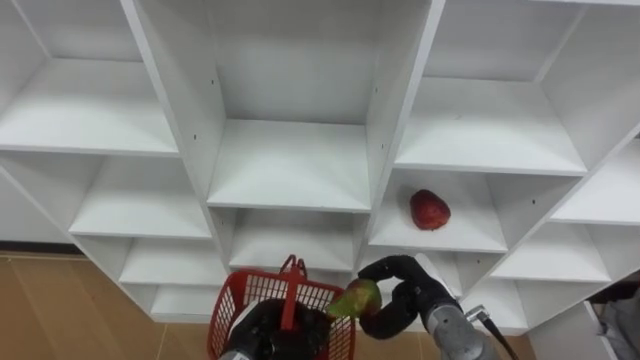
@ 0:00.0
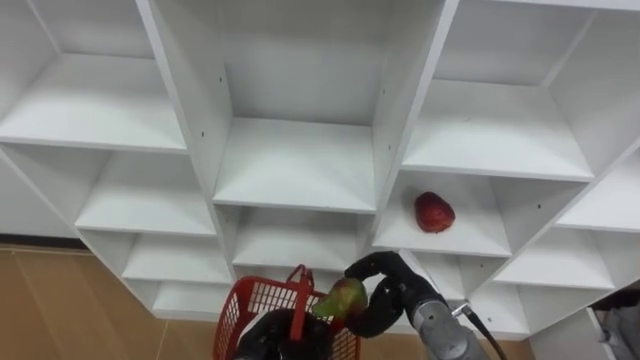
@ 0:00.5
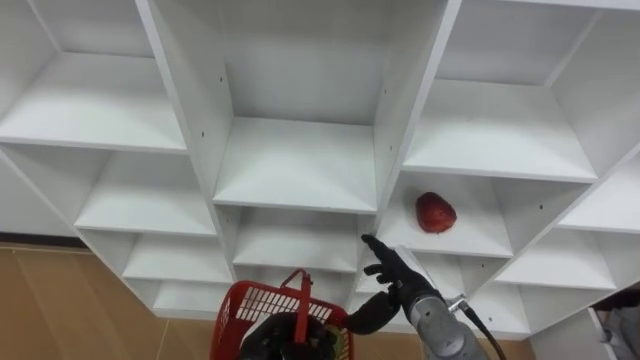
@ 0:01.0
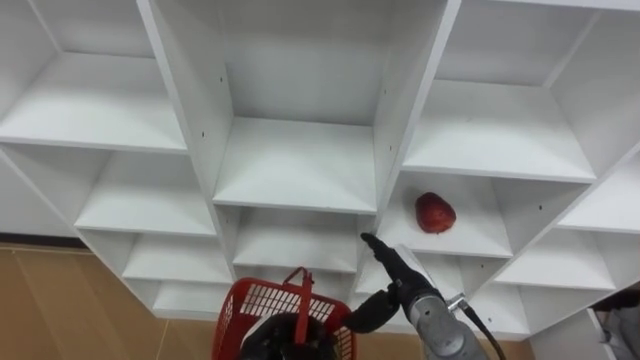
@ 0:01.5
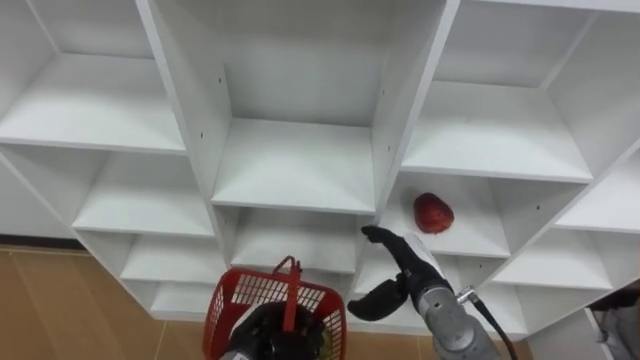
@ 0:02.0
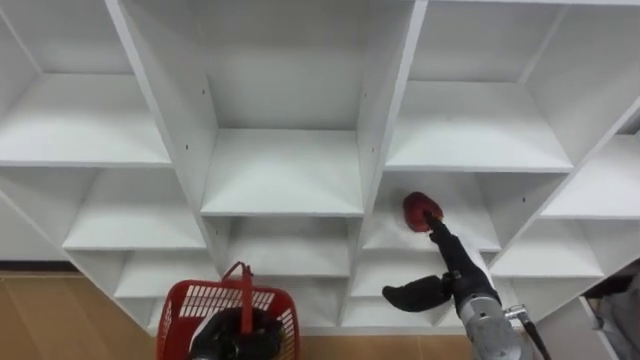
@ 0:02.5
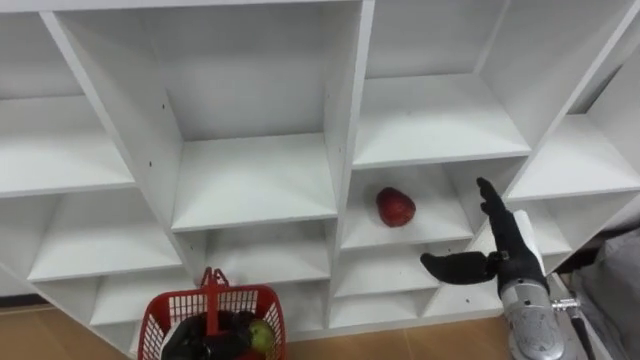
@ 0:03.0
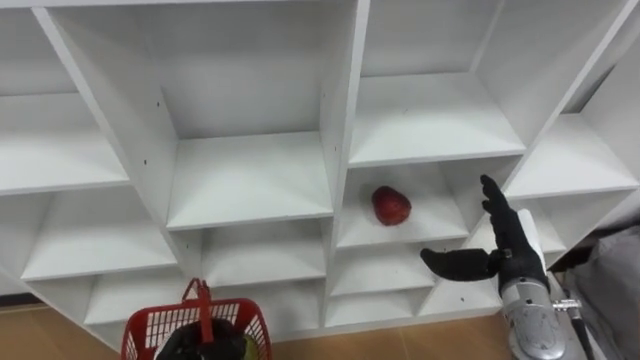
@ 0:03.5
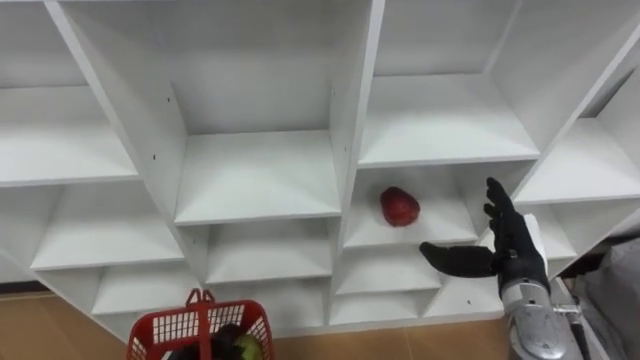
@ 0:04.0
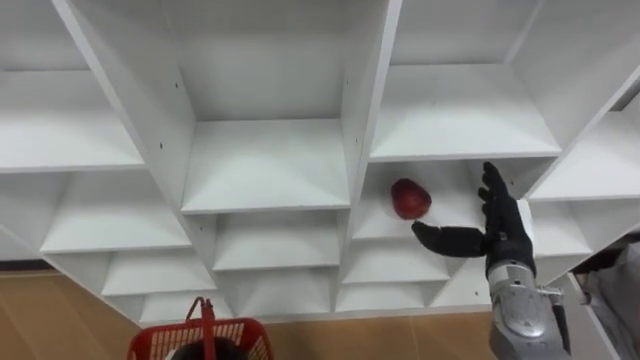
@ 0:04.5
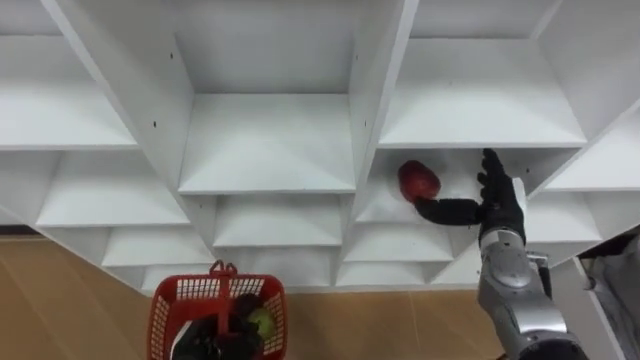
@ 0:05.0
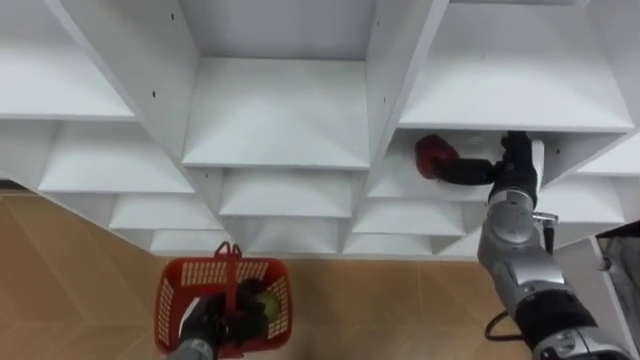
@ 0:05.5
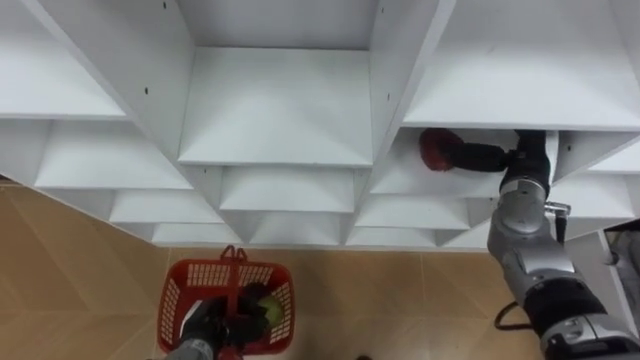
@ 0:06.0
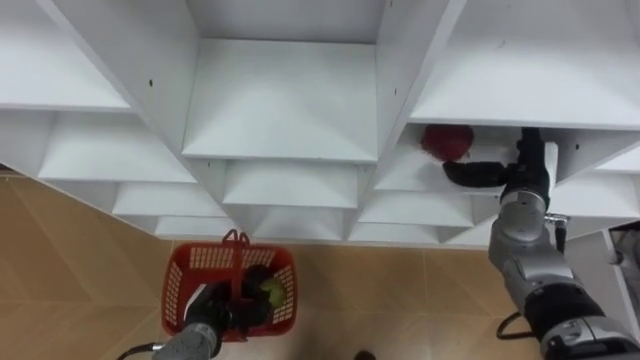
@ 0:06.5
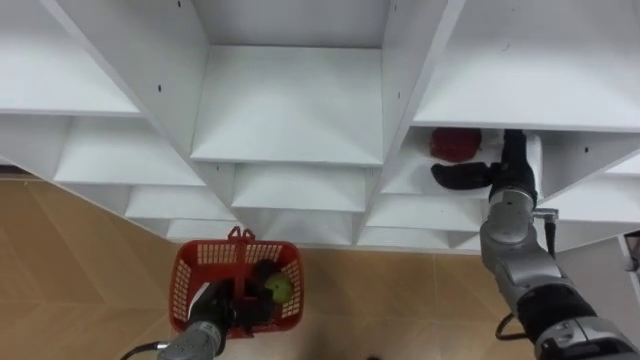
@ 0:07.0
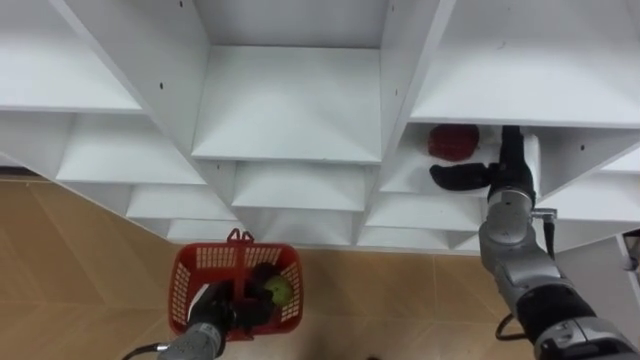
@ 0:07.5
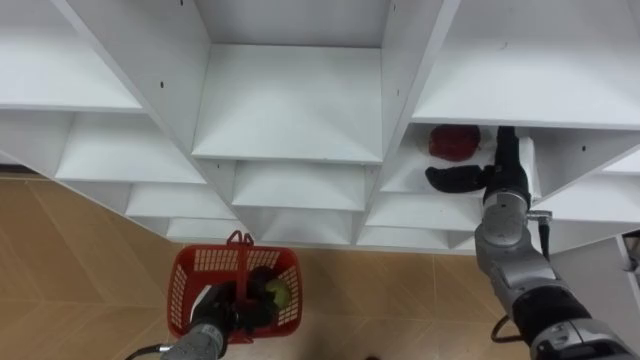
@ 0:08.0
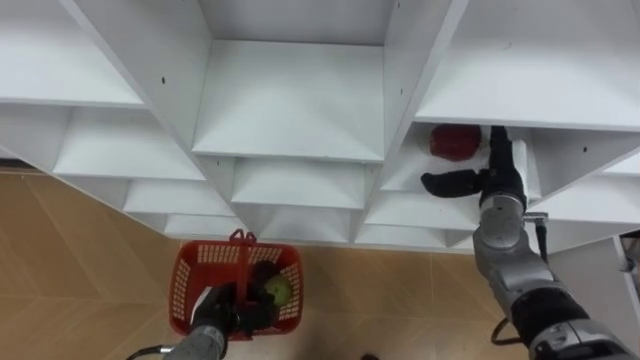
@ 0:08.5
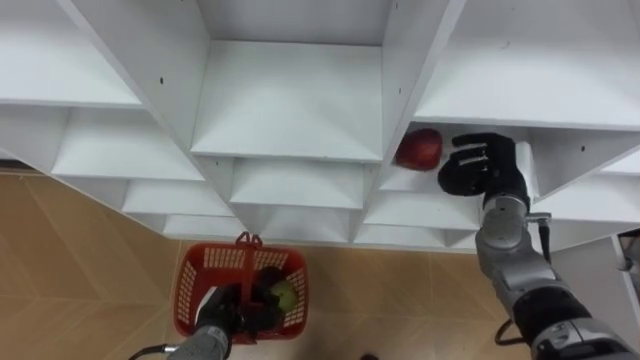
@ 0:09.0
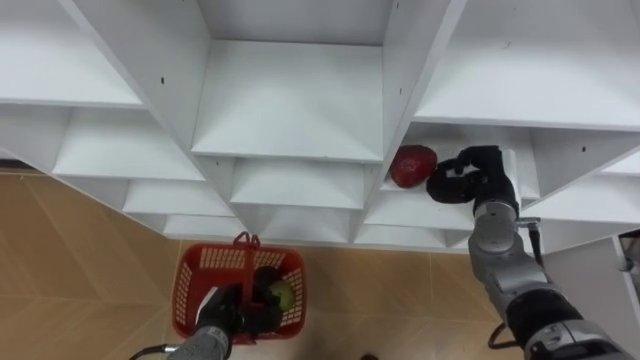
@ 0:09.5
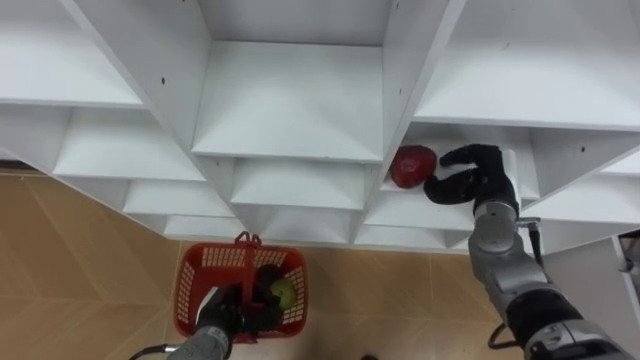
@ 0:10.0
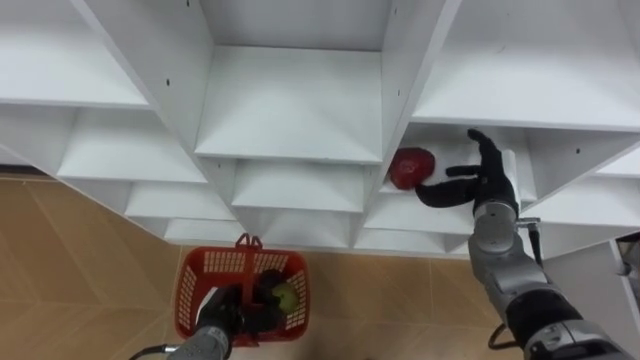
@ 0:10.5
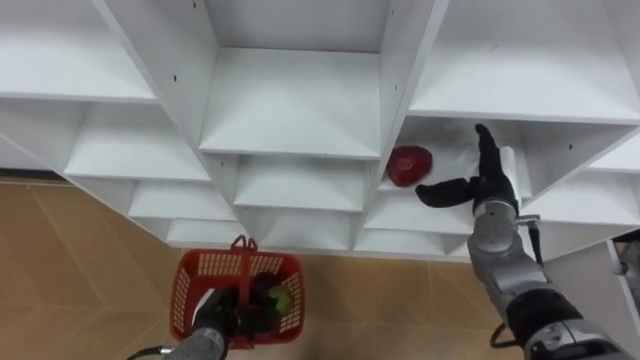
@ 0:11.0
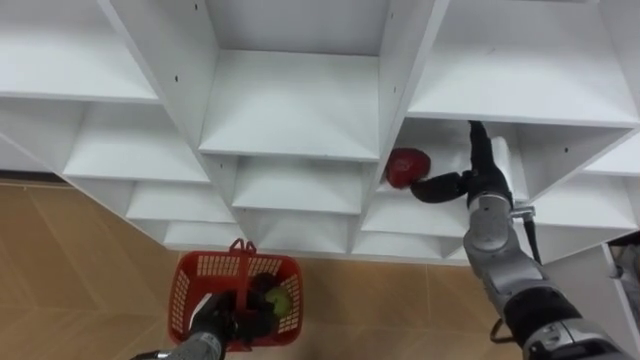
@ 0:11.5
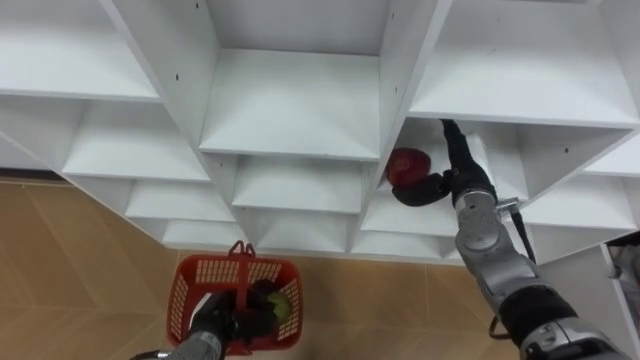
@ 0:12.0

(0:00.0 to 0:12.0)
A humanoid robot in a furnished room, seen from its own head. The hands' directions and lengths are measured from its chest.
Task of the whole recording: Hold the basket and collect the fruits from 3 different cells of the closet into it.
0:00.0 - 0:02.0: The right hand opens up.
0:02.0 - 0:04.0: The right hand heads to the right and upward, covering roughly 15 cm.
0:04.0 - 0:06.0: The right hand is displaced forward by some 10 cm.
0:08.0 - 0:10.0: The right hand closes.
0:10.0 - 0:12.0: The right hand opens.

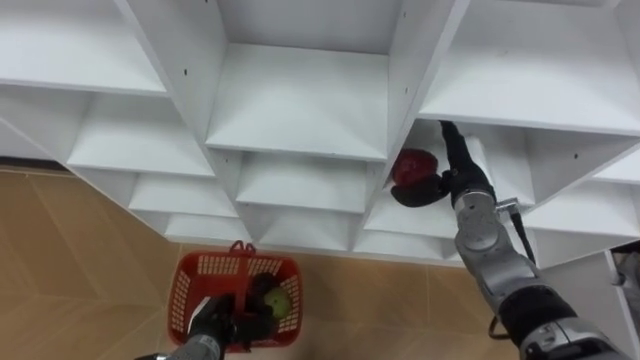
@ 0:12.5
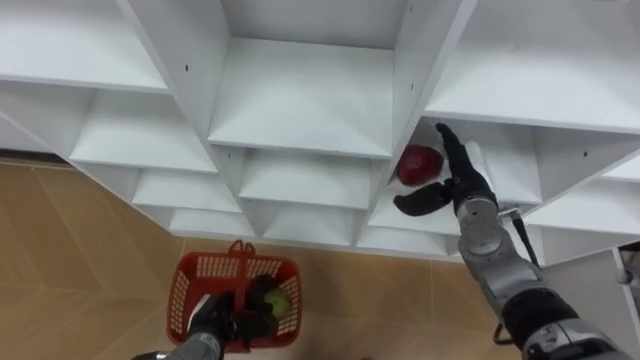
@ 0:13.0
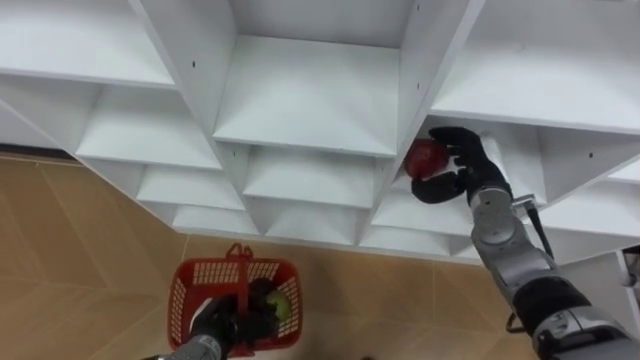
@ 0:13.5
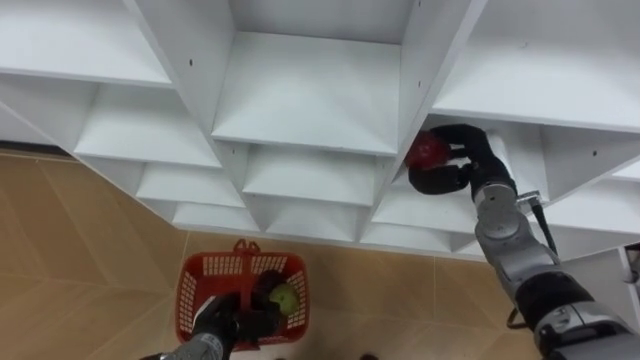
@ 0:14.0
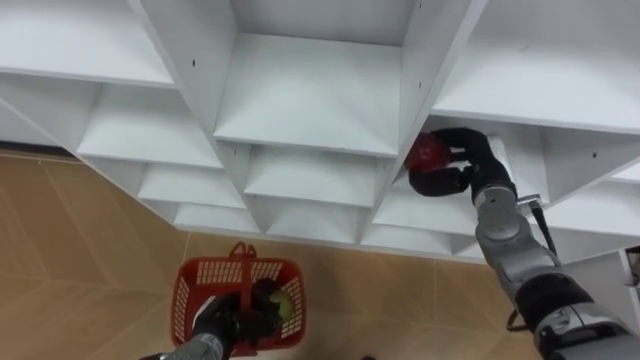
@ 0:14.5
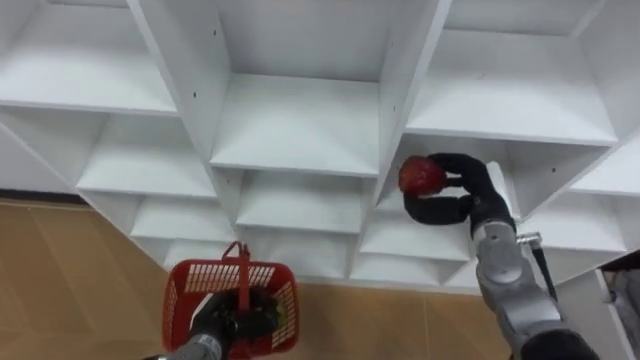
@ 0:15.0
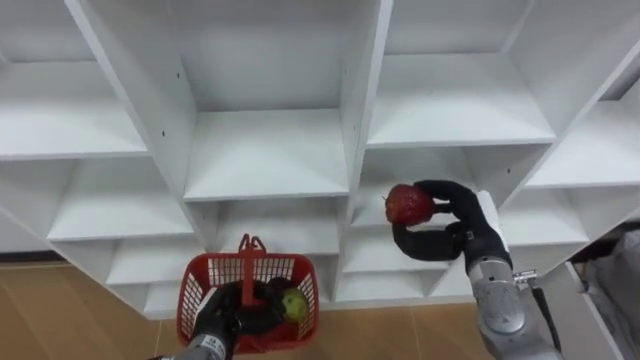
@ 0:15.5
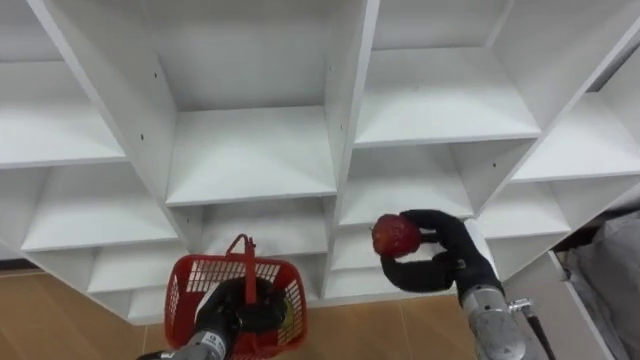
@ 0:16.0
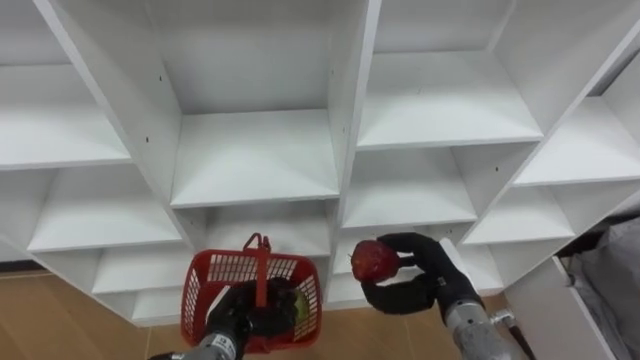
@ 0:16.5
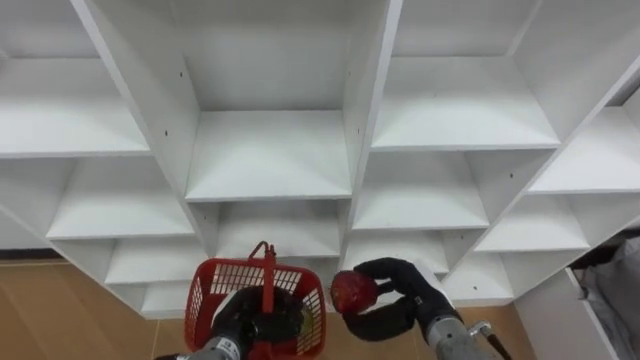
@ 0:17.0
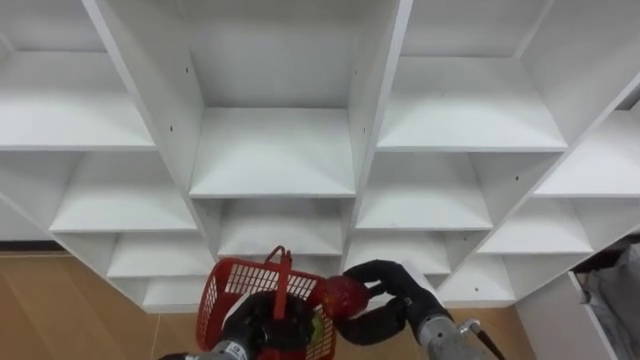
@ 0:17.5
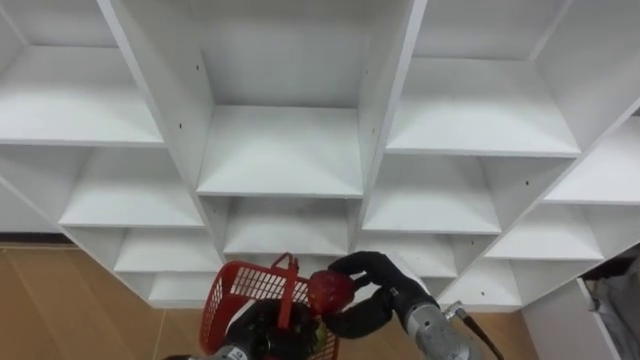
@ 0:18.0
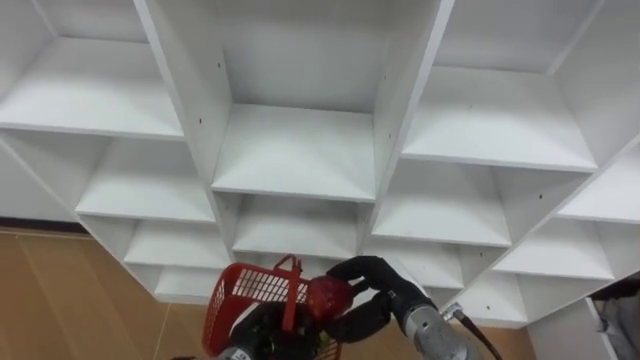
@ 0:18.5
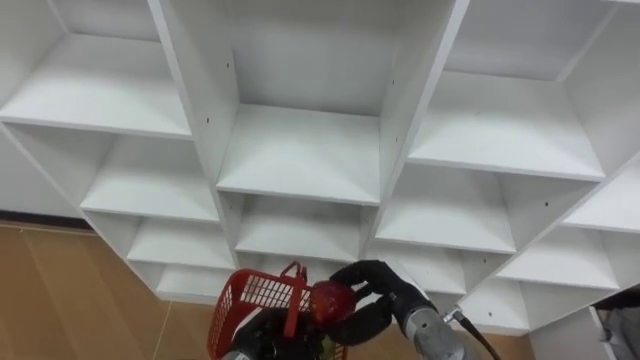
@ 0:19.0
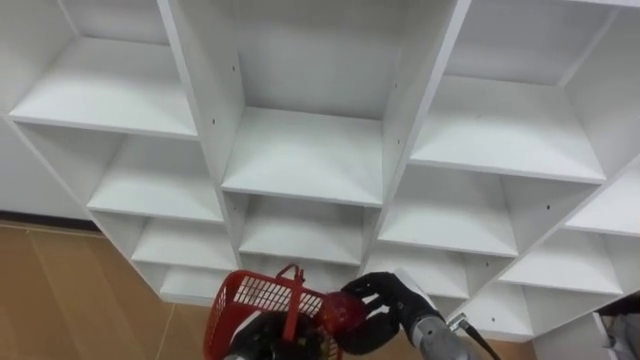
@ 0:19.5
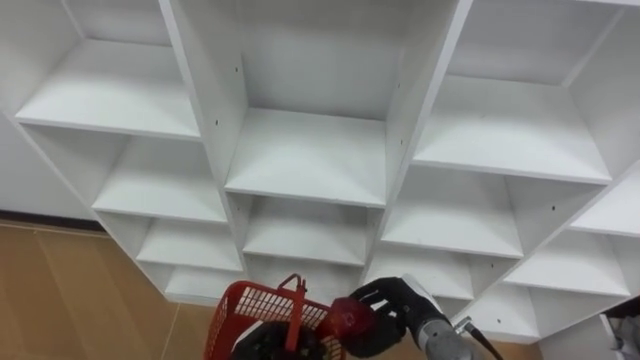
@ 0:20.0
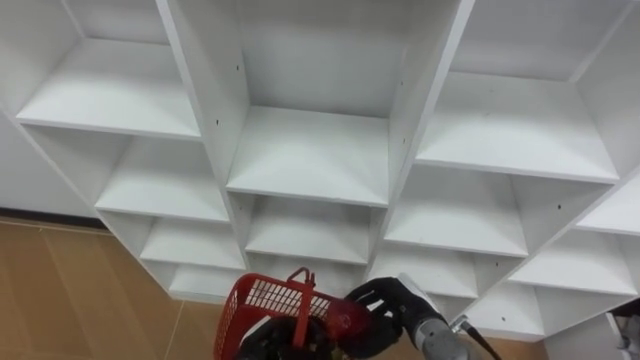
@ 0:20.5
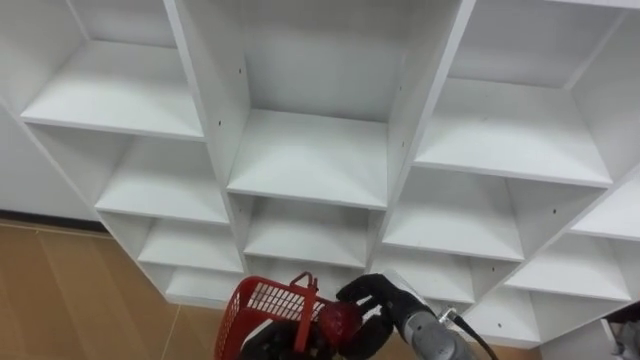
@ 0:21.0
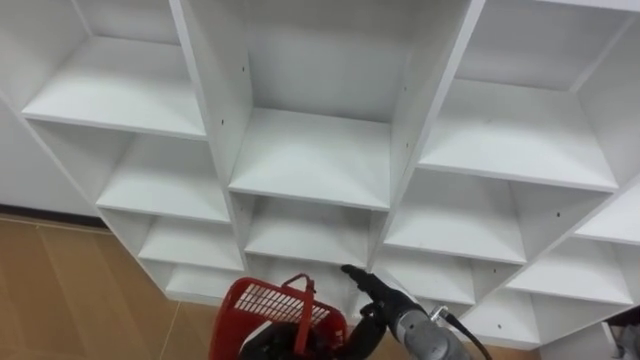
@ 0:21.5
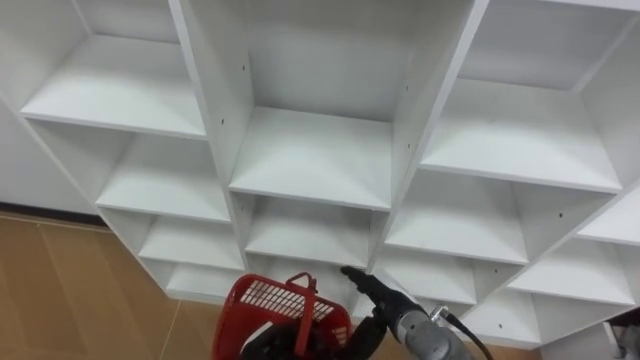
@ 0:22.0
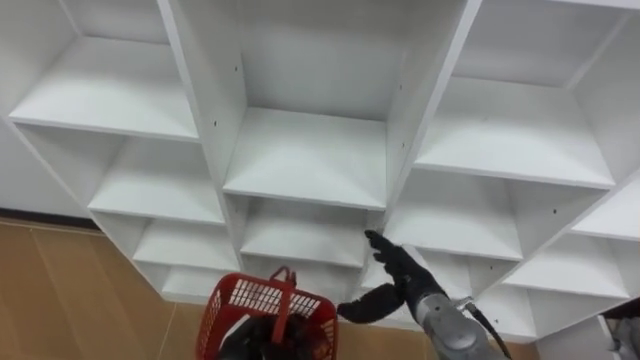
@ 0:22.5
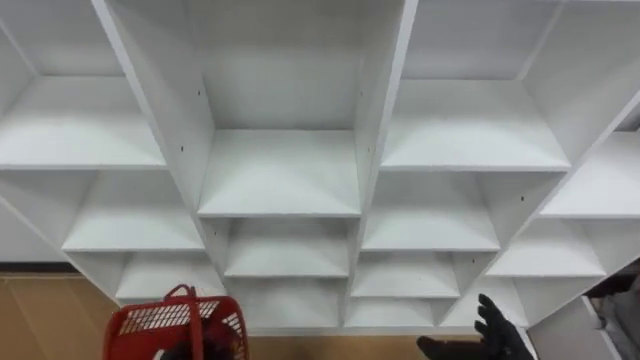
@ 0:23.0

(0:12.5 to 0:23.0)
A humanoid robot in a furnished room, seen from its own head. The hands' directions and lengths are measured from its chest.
Task of the whole recording: Hold the basket and collect the fruits from 3 different cells of the closet into it.
0:12.5 - 0:14.5: The right hand closes.
0:14.5 - 0:16.5: The right hand shifts approximately 15 cm backward and downward.
0:16.5 - 0:19.0: The left hand ends up roughly 5 cm from where it was. Meanwhile the right hand shifts roughly 5 cm to the left.
0:21.0 - 0:23.0: The right hand shifts approximately 15 cm to the right and backward, and opens its fingers.
